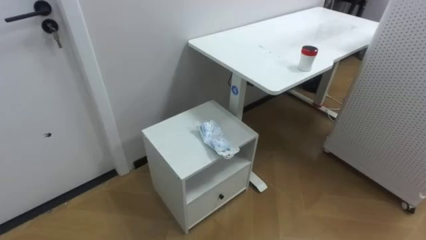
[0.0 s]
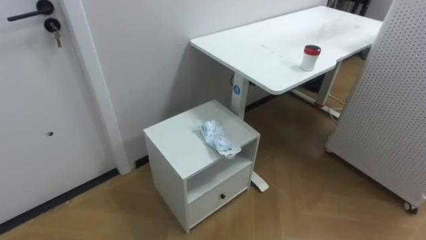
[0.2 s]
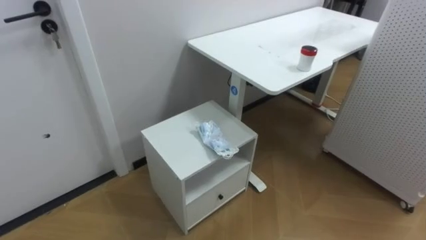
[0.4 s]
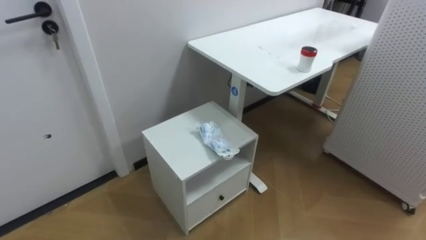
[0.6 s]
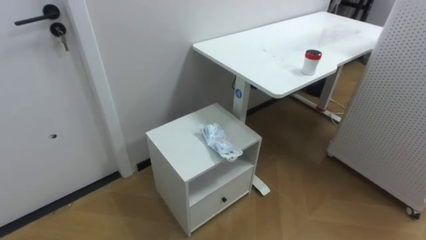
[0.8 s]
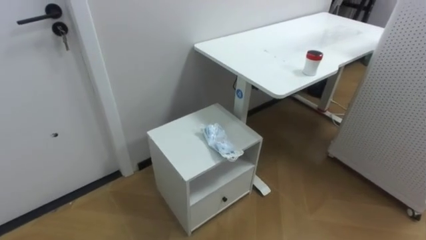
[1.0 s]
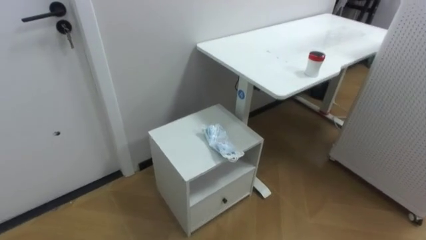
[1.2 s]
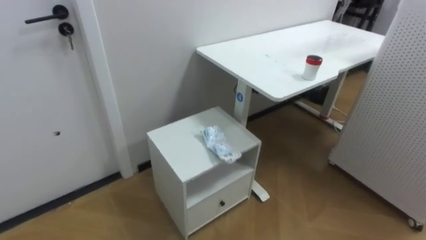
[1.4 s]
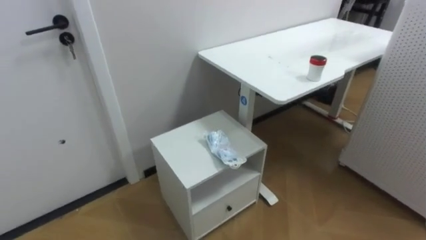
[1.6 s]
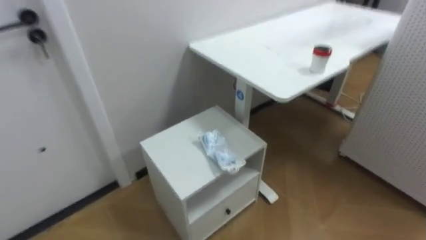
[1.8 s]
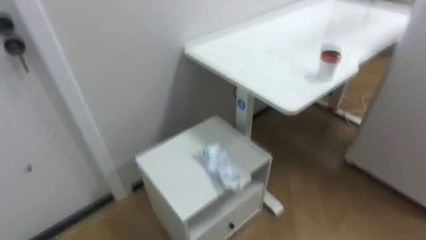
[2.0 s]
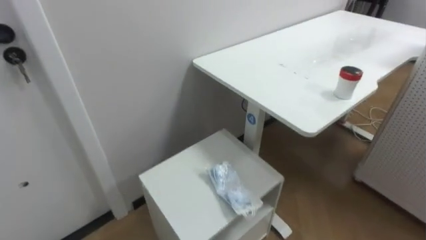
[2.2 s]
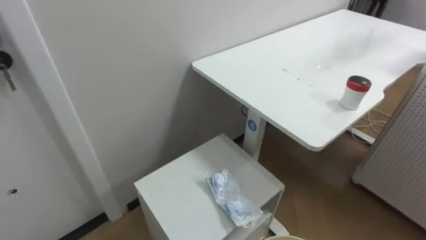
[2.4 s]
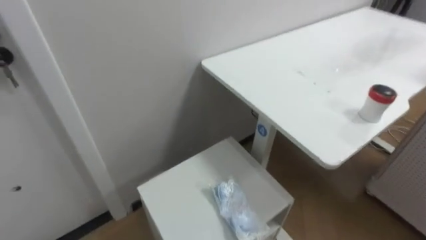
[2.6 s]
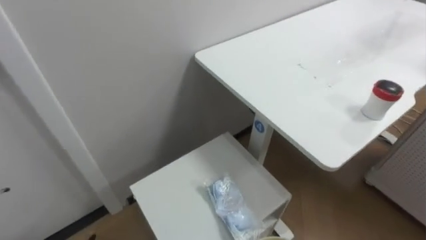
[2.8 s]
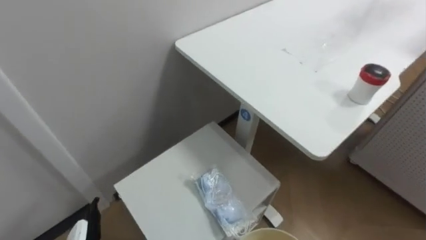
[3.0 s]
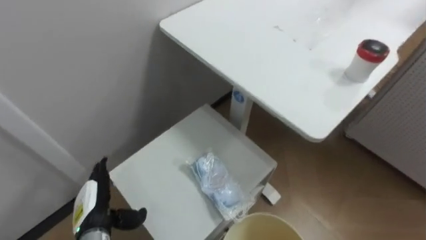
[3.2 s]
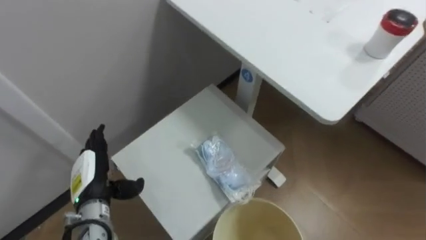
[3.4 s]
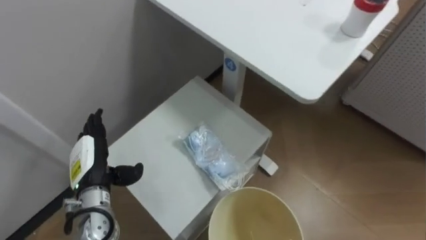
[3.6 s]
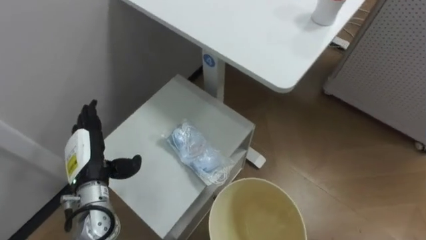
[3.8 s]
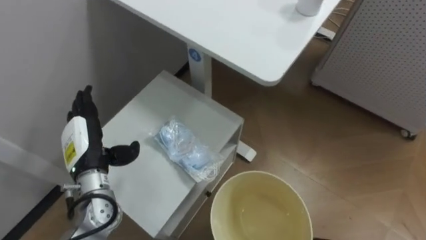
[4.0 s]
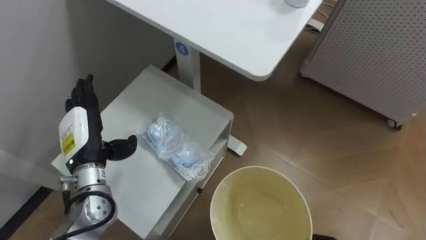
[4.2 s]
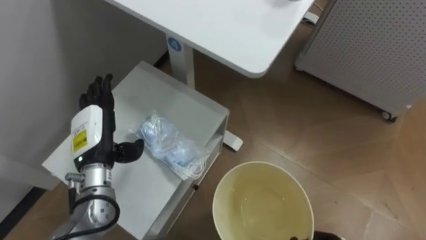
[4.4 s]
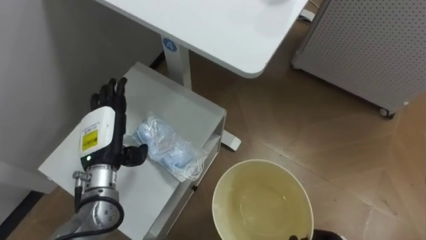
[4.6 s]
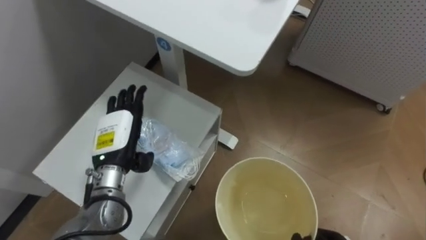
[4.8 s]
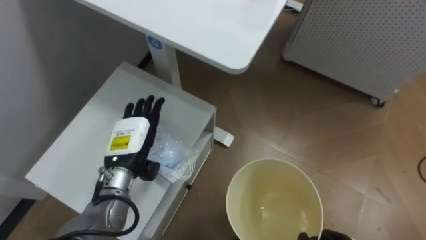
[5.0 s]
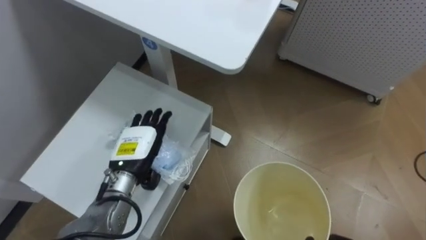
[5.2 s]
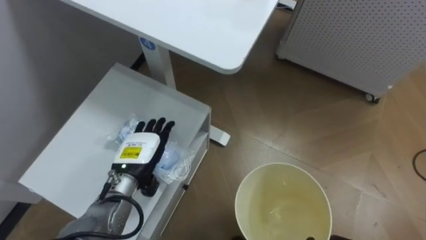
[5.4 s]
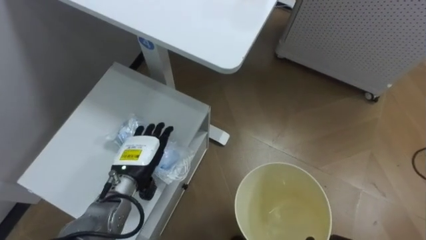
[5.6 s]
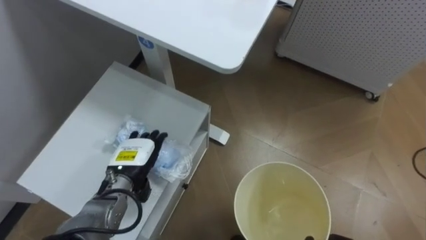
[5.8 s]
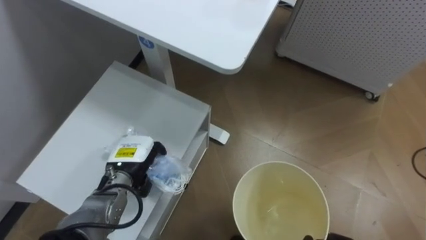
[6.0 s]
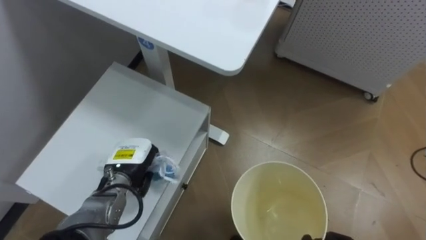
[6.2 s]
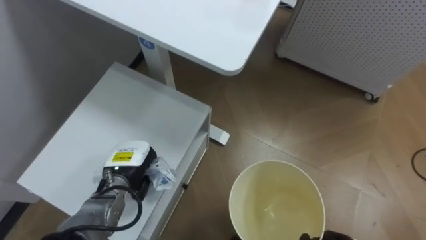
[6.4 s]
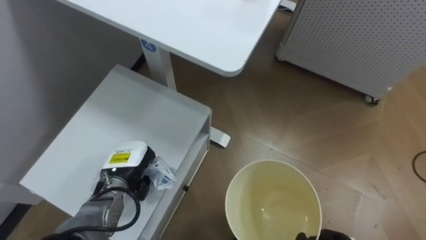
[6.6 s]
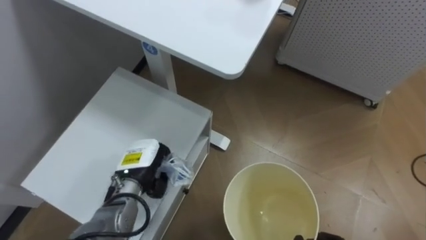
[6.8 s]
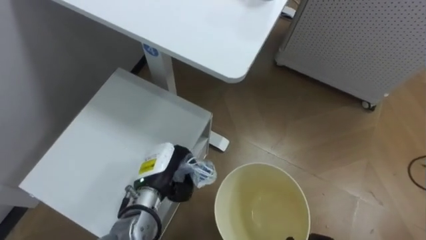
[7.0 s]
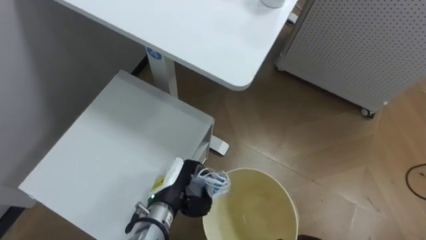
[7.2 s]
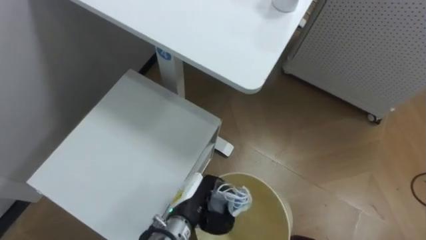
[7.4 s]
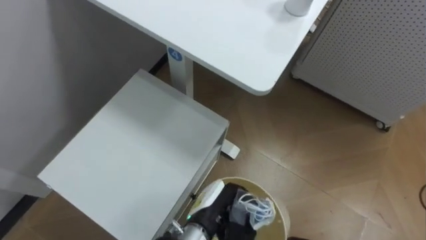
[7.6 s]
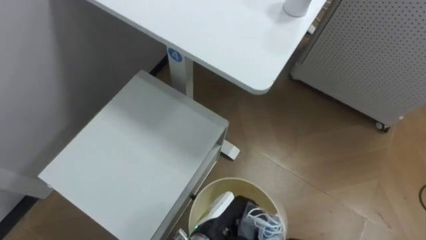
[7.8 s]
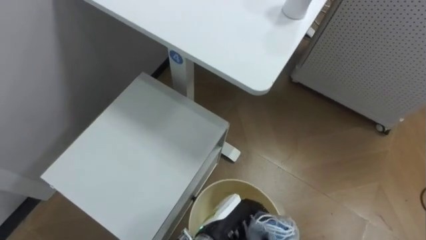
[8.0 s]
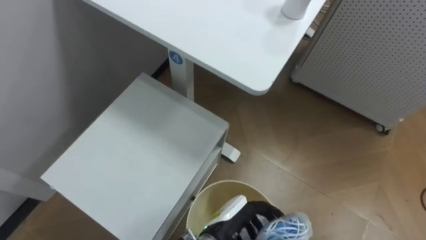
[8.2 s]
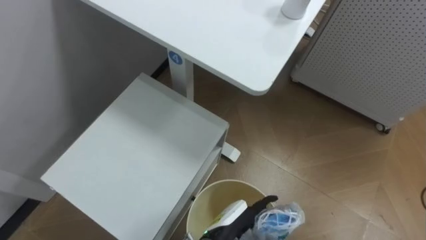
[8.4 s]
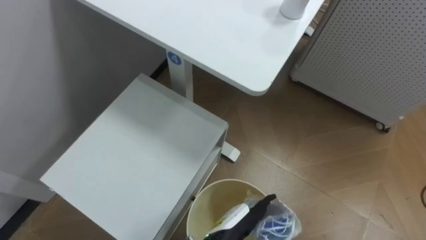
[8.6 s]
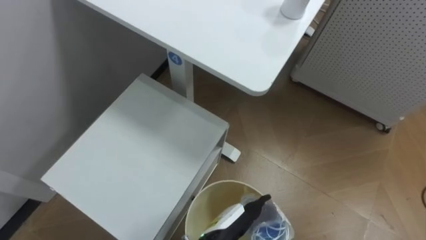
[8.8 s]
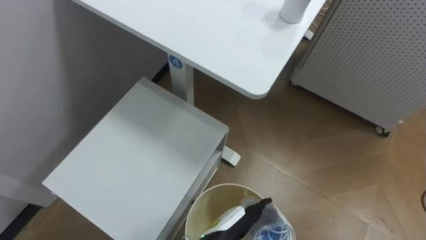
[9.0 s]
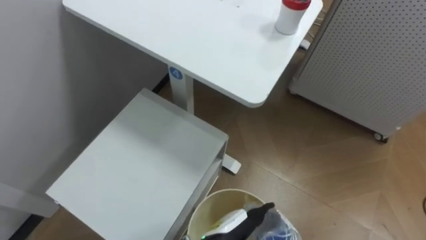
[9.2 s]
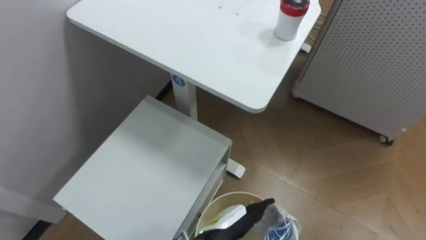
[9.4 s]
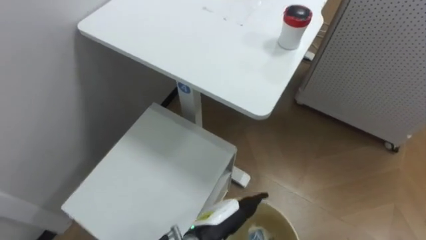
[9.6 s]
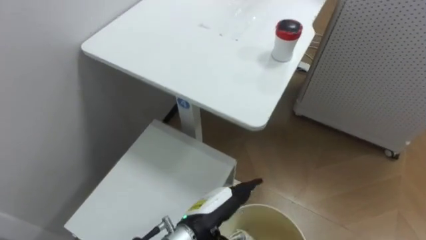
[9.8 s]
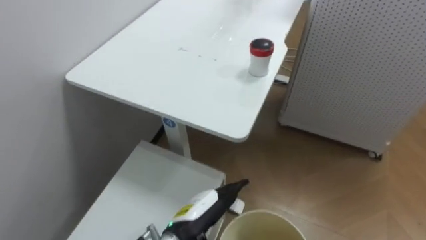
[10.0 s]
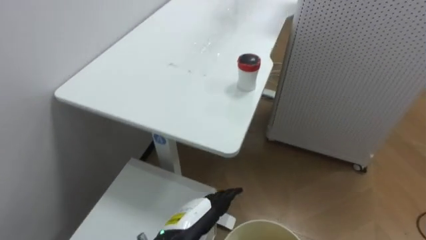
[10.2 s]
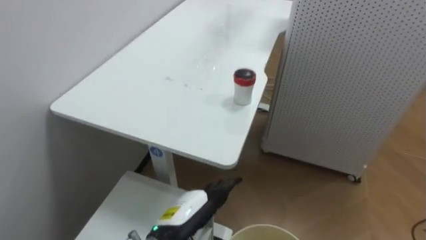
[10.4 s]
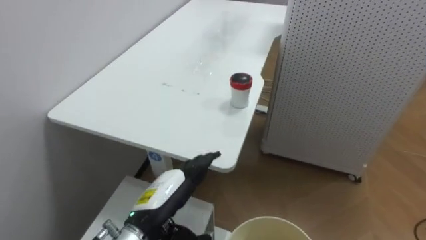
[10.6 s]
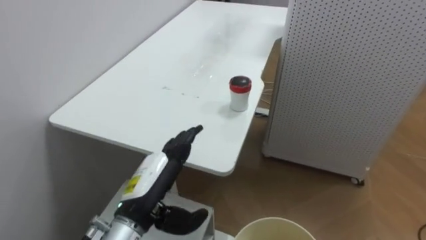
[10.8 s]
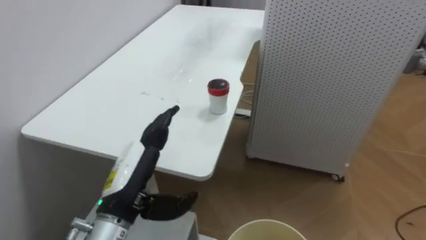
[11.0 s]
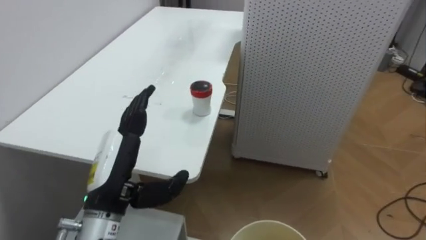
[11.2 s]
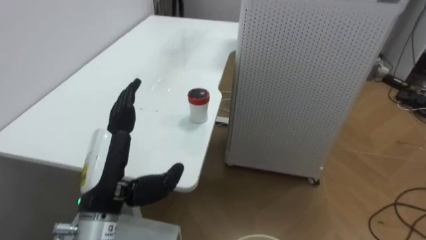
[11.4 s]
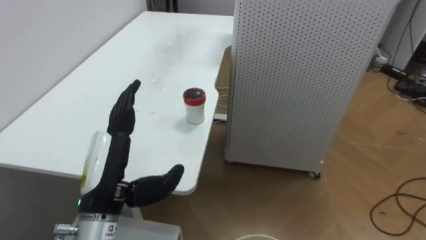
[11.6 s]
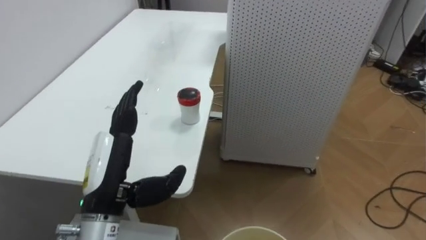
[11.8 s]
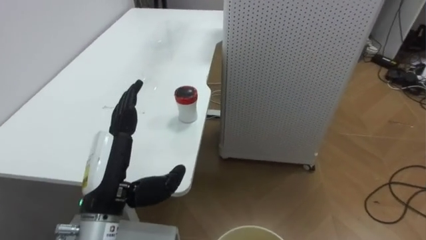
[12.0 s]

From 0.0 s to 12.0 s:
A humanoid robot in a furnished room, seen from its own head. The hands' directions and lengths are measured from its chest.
Task of the whole recording: Pick up the light blue package, the candy box, and the dark blue package separately, and put them into the trash can held in your right hand.
From 4.4 s to 6.0 s: The left hand is displaced downward and to the right by roughly 10 cm.
From 6.0 s to 7.6 s: The left hand moves to the right and backward, about 20 cm, and closes its fingers.
From 7.6 s to 9.0 s: The left hand shifts by about 5 cm, and opens its fingers.
From 9.0 s to 10.4 s: The left hand shifts about 10 cm to the left and upward.
From 10.4 s to 12.0 s: The robot turns to its right by about 20 degrees. The left hand moves upward and to the left, approximately 15 cm.

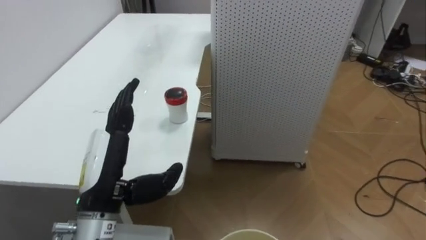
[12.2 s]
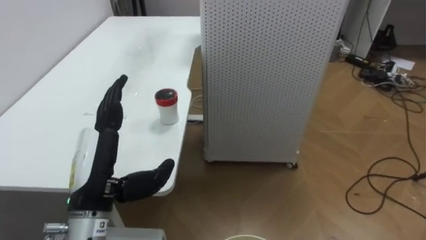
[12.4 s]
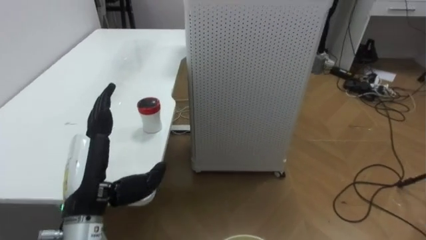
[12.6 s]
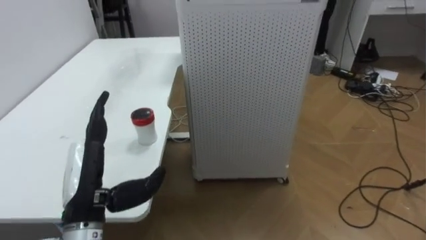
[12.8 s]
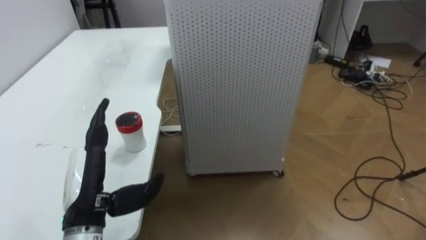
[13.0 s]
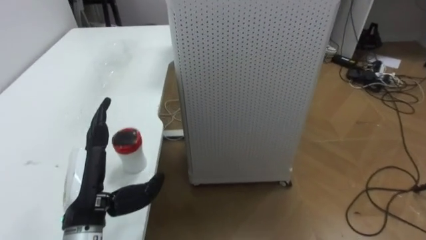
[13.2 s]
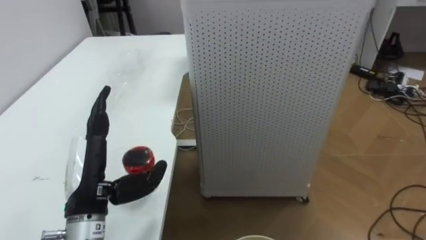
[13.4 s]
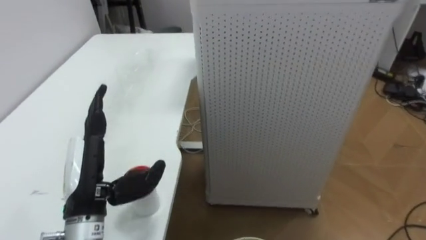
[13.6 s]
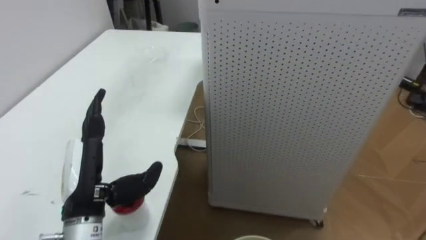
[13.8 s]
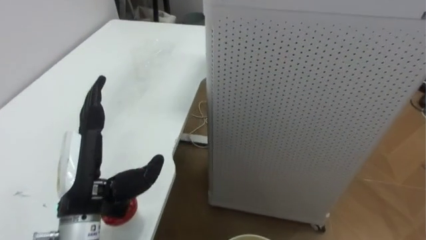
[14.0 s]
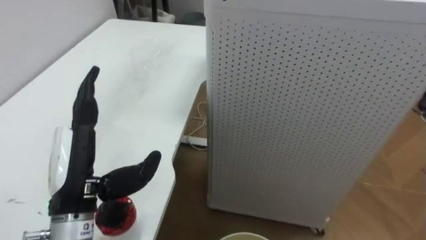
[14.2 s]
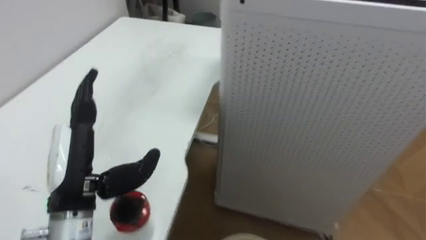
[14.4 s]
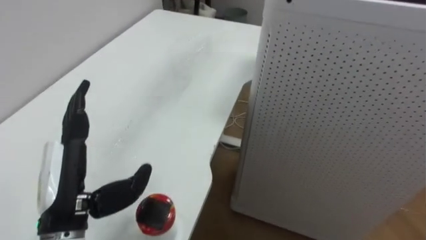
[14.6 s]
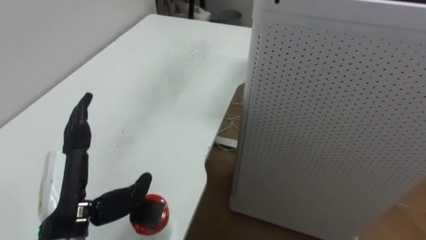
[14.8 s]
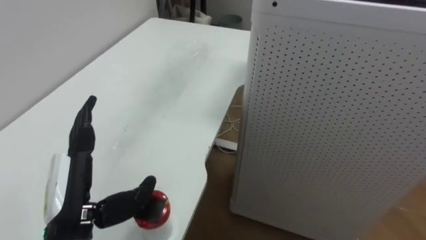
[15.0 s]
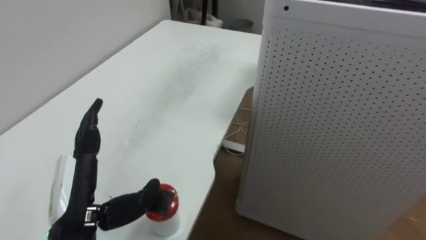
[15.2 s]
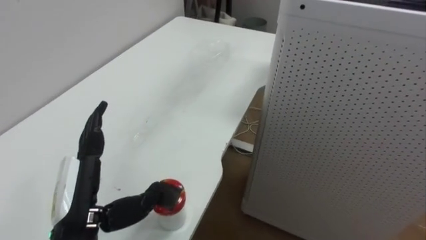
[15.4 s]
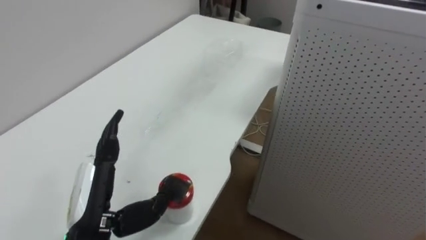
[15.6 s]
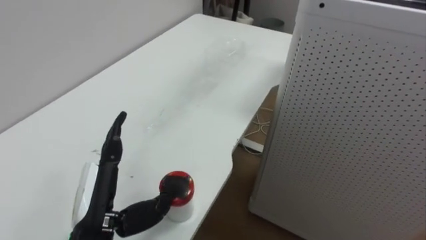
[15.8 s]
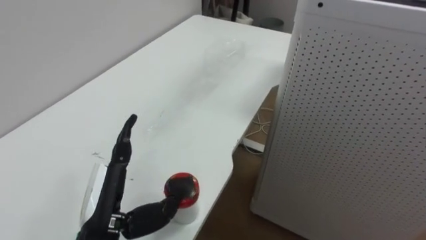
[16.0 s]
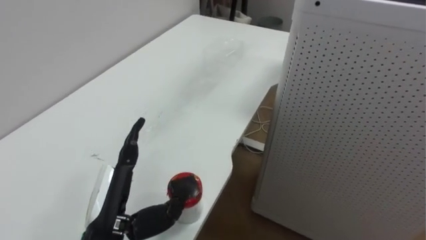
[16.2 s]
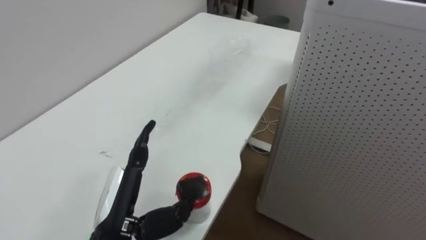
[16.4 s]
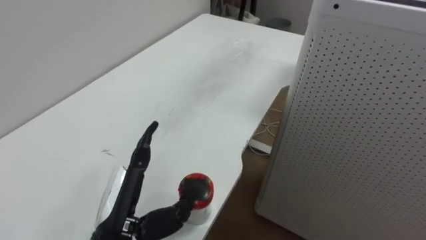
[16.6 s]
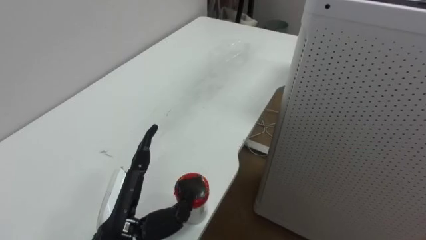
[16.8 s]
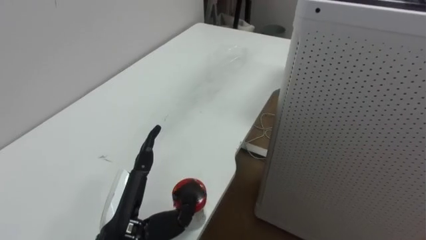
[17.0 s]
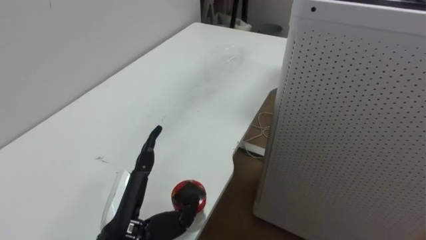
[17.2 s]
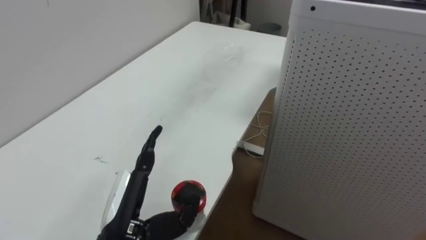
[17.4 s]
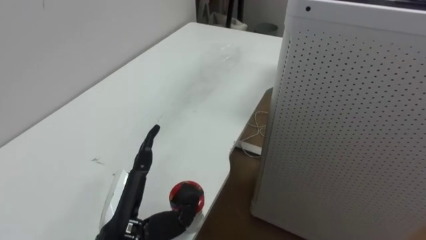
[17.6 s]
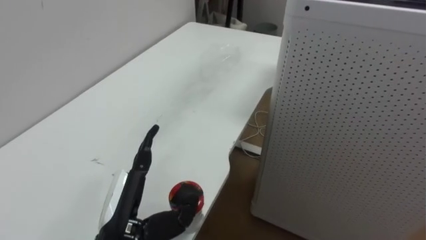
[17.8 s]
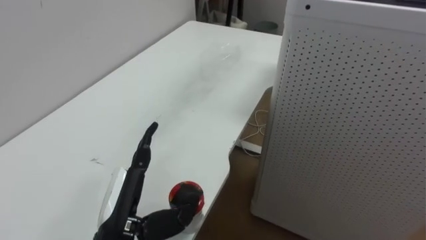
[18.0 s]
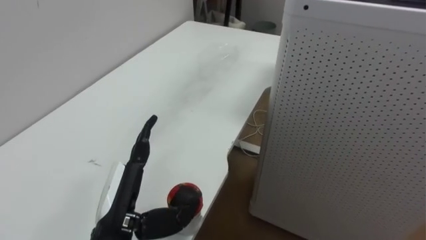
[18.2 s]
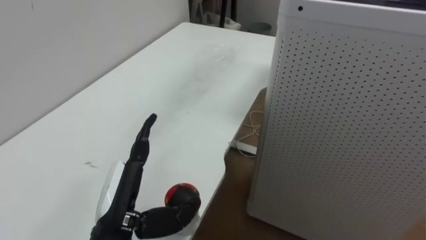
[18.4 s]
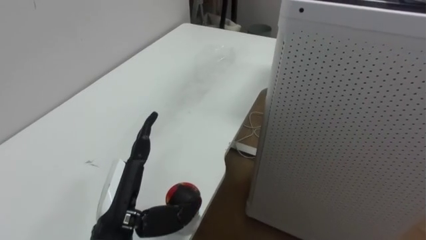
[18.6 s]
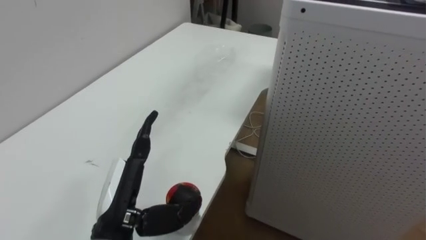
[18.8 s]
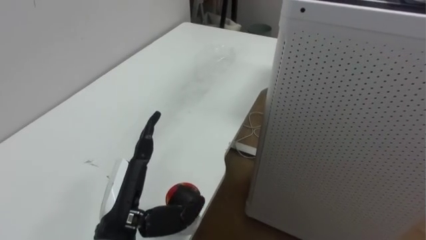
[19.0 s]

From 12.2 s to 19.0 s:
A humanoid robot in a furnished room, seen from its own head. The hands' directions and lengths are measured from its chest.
Task of the whole recording: Pick up the light blue package, the candy box, and the dark blue package separately, and put them into the trash can held in your right hand.
From 15.0 s to 16.2 s: The left hand shifts by roughly 5 cm.
